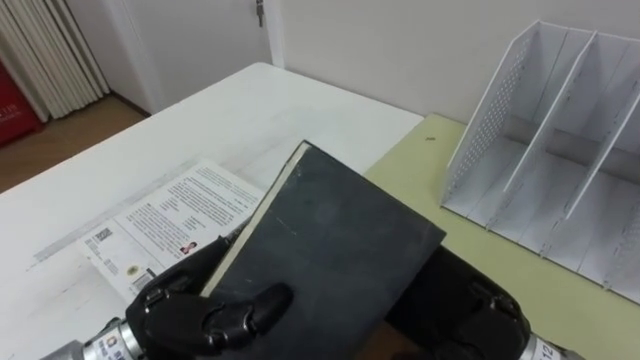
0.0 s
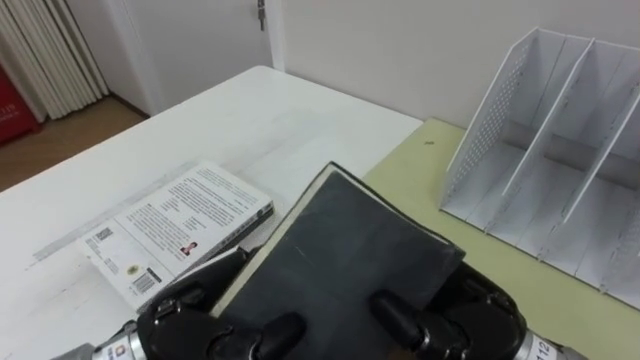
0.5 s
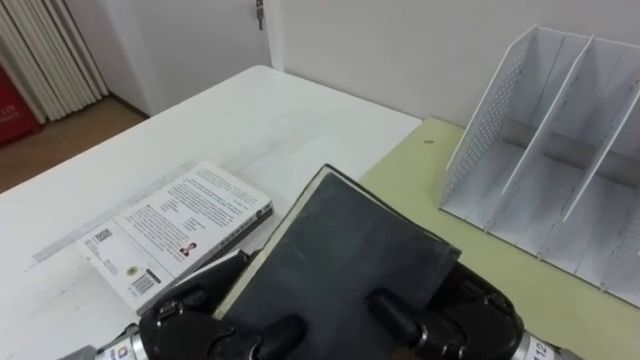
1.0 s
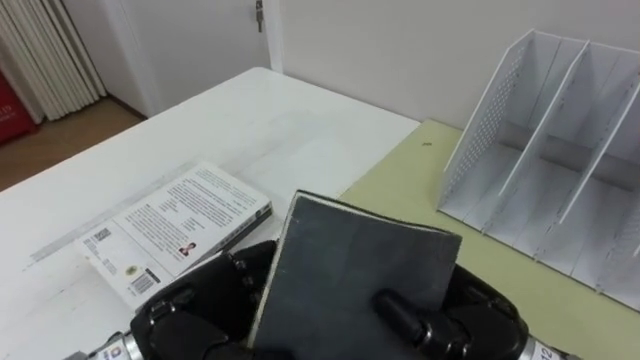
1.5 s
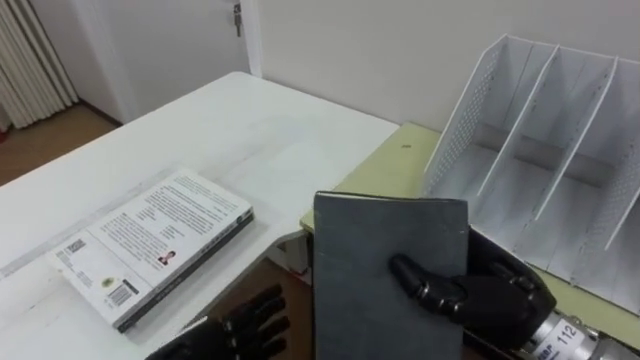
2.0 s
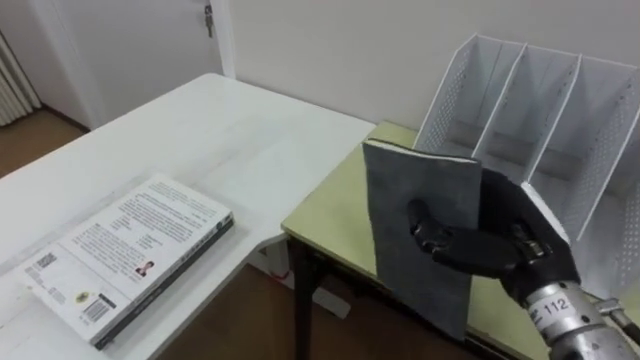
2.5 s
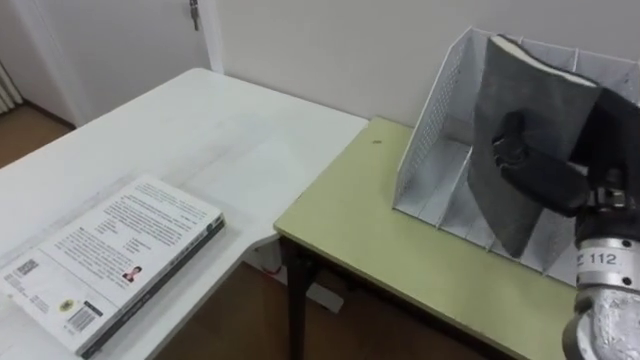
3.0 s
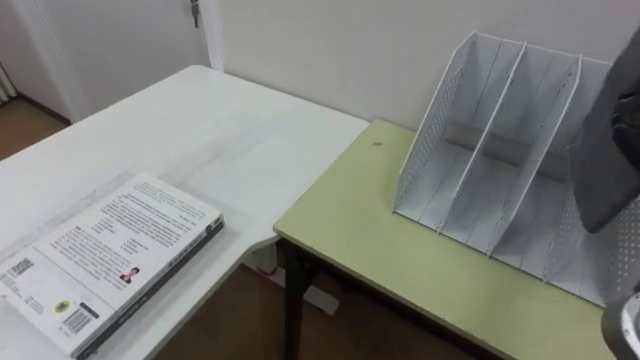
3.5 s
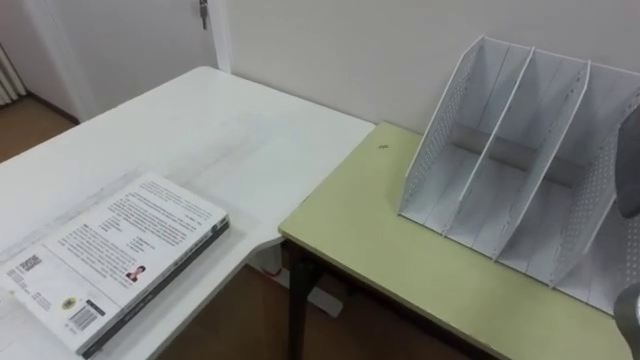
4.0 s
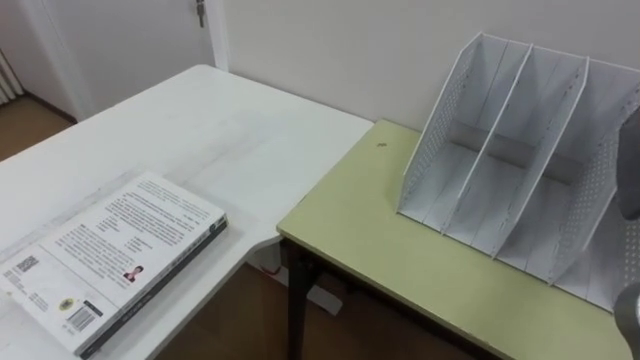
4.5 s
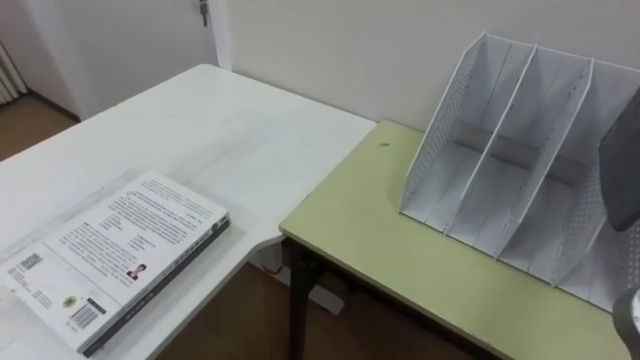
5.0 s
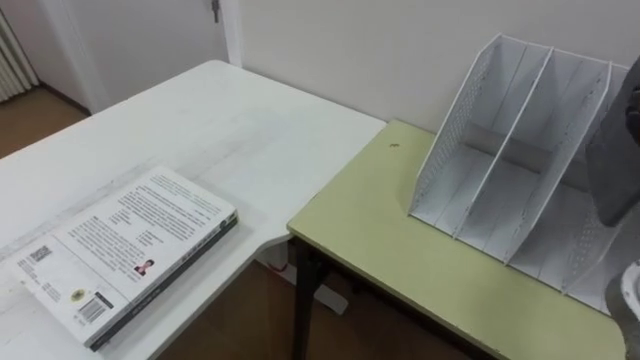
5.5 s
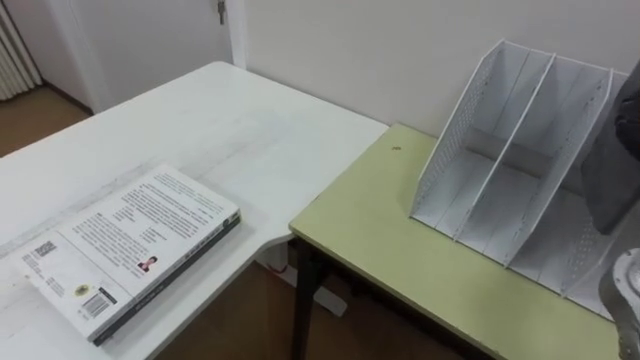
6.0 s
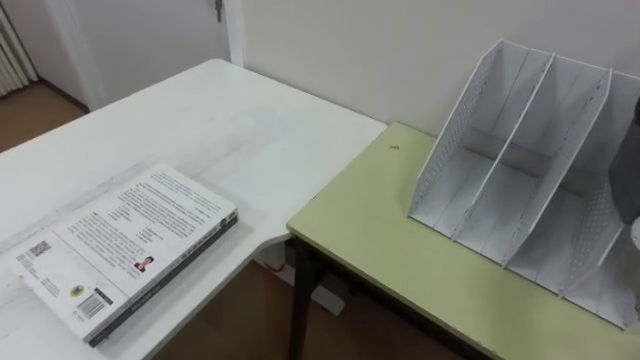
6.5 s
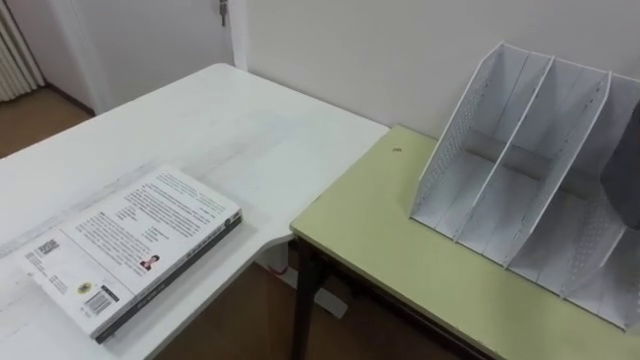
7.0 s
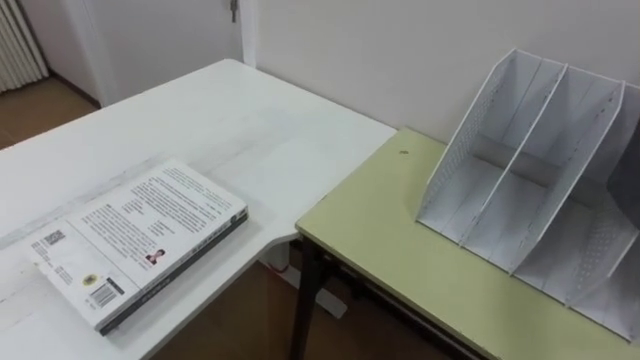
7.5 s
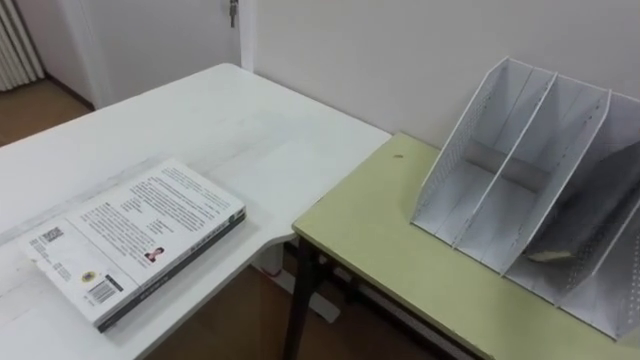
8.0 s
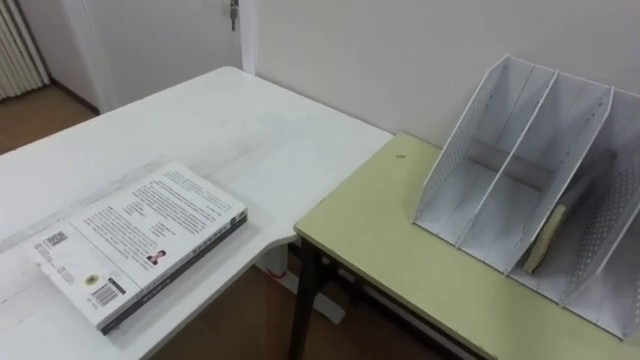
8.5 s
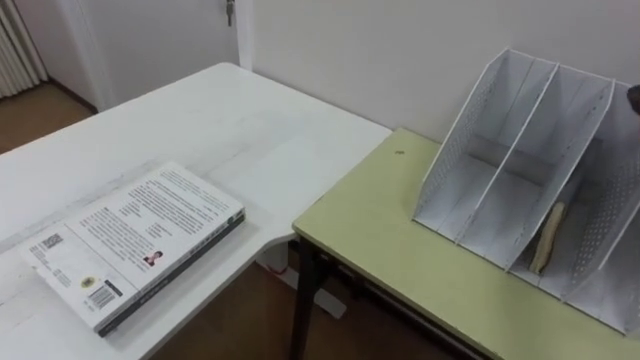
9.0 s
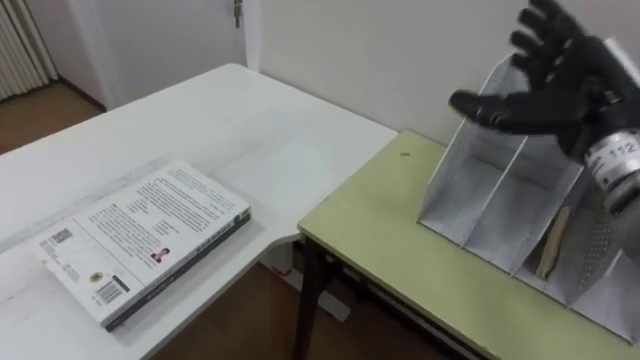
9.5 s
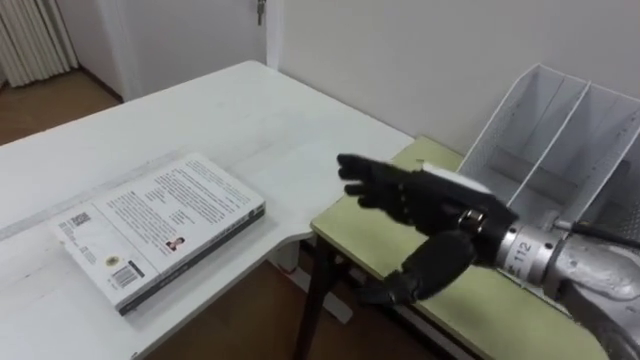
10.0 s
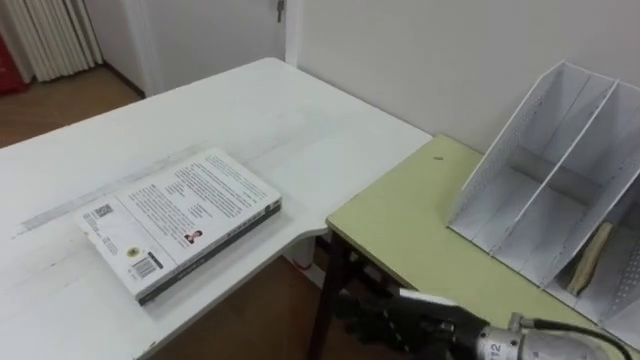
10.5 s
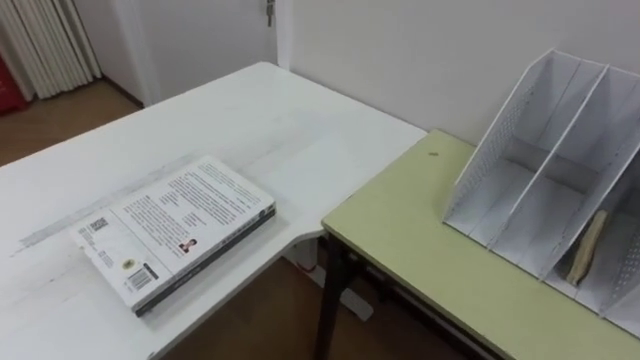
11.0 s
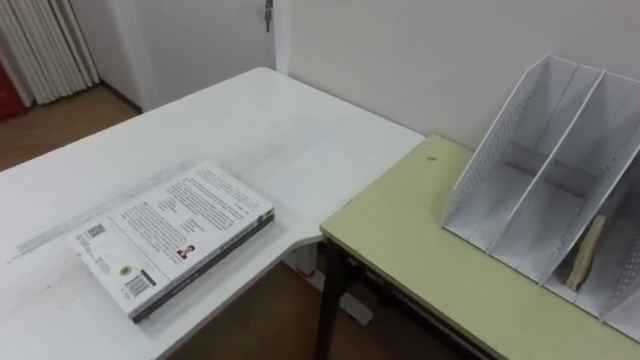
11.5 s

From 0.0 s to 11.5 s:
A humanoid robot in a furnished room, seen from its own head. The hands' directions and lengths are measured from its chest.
Task of the whole recording: Put the books on the table onto the bookshelf.
From 0.0 s to 2.0 s: The right hand changes place by some 5 cm, and closes up. The left hand travels downward by some 10 cm, and opens.

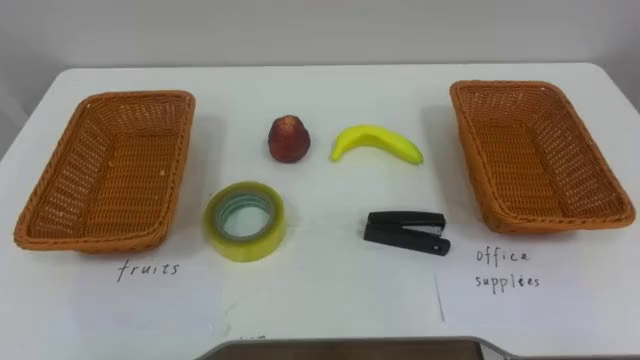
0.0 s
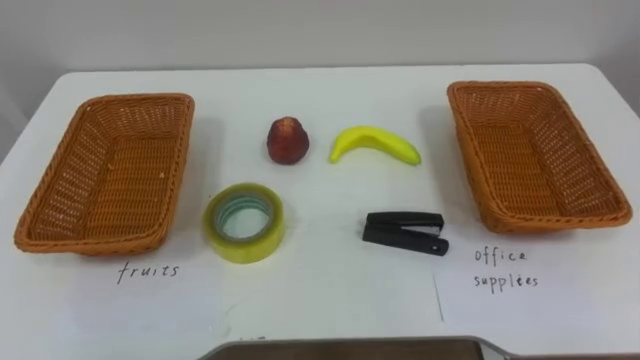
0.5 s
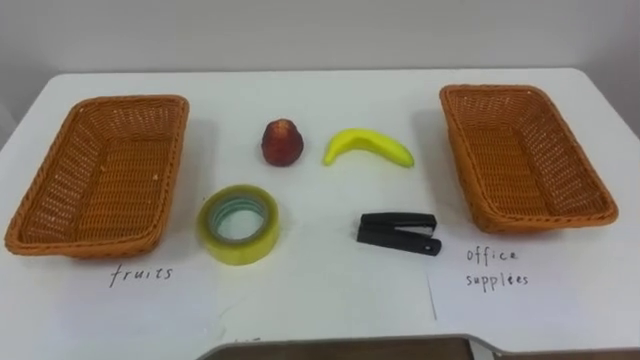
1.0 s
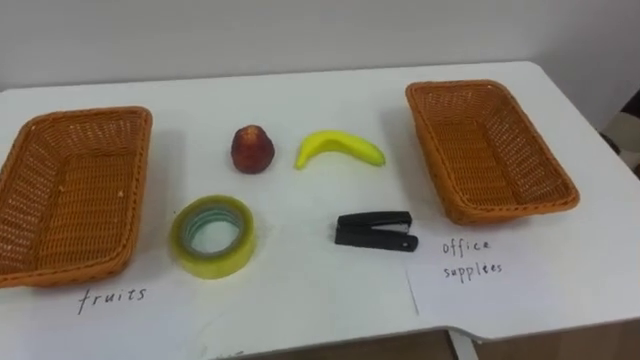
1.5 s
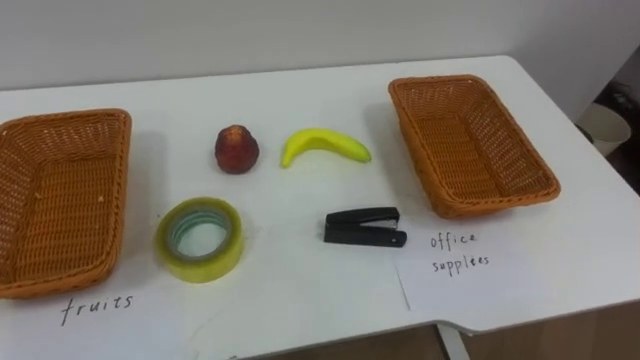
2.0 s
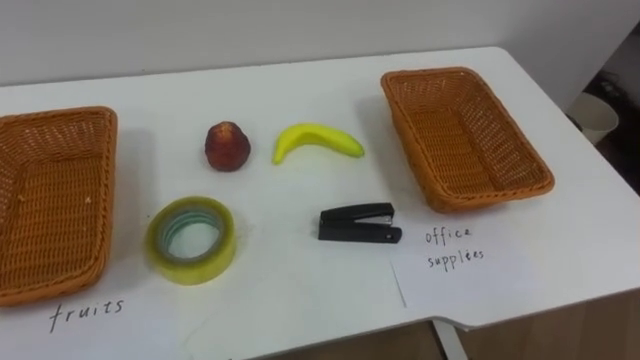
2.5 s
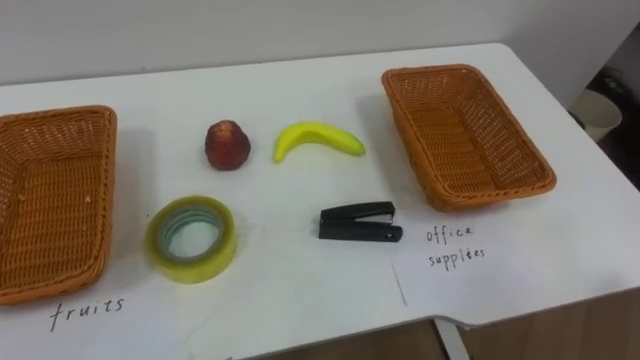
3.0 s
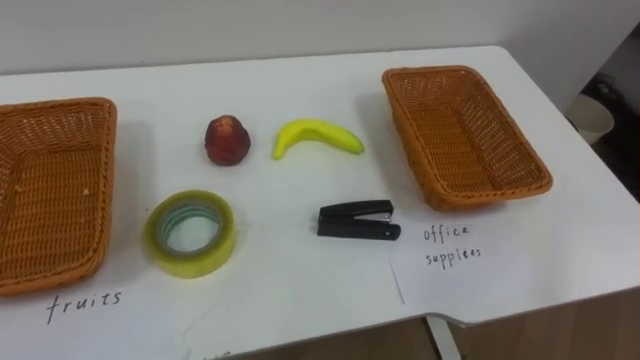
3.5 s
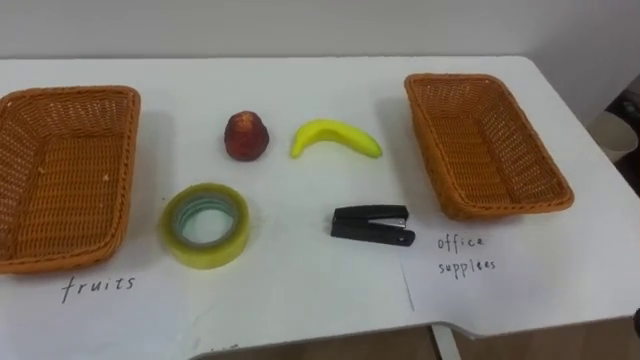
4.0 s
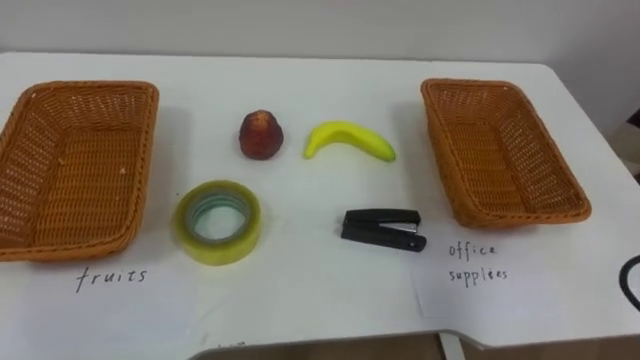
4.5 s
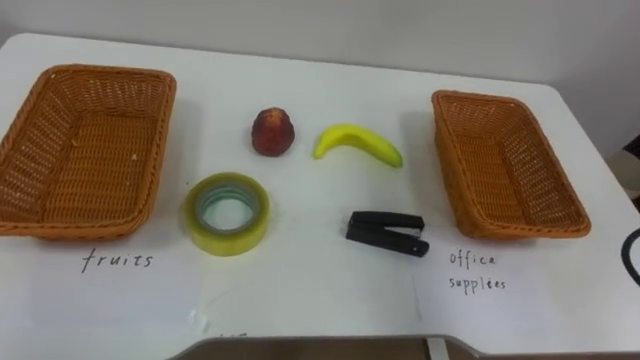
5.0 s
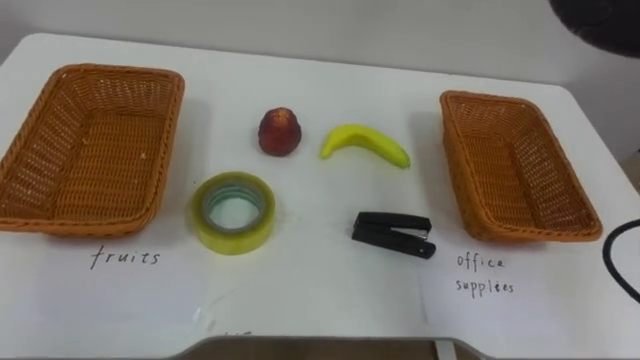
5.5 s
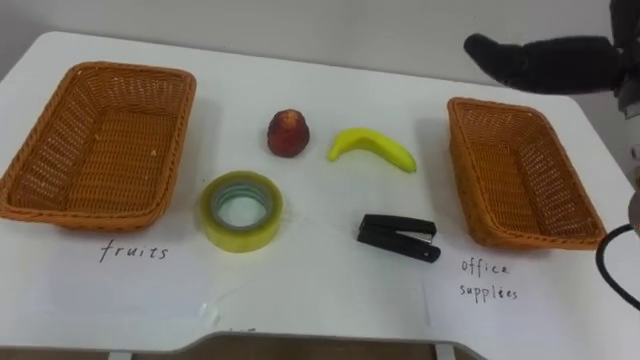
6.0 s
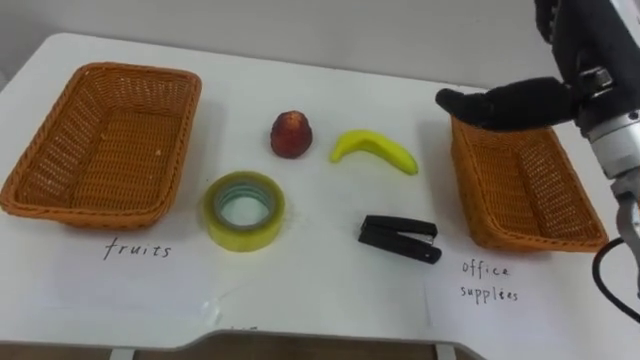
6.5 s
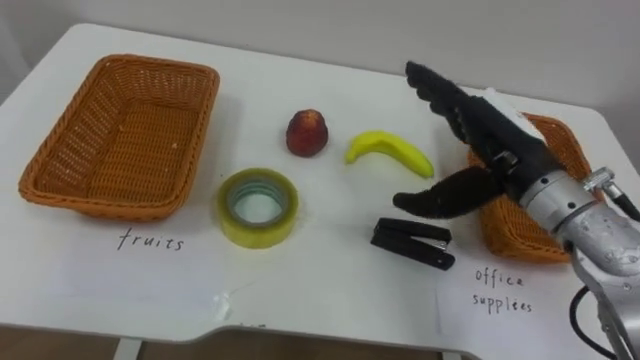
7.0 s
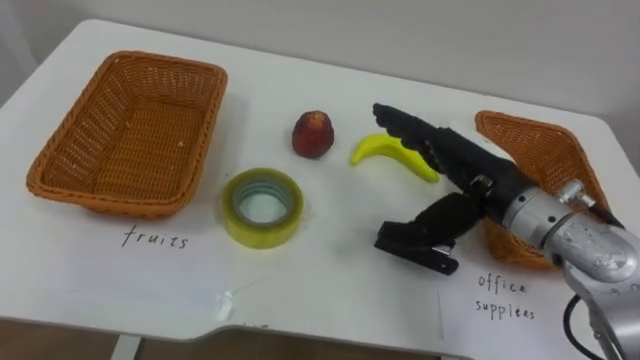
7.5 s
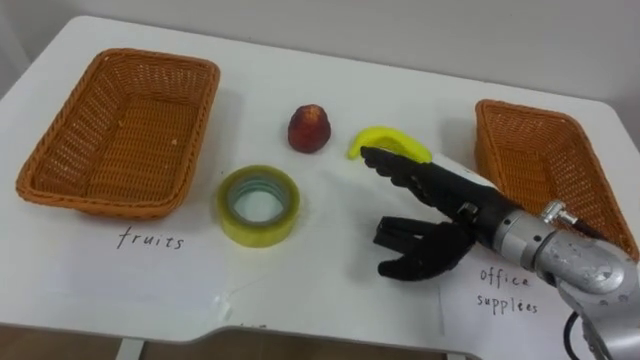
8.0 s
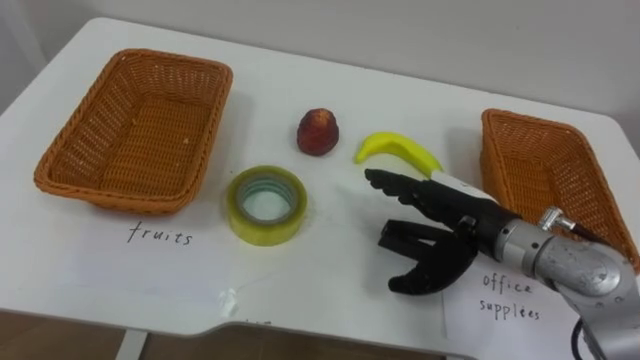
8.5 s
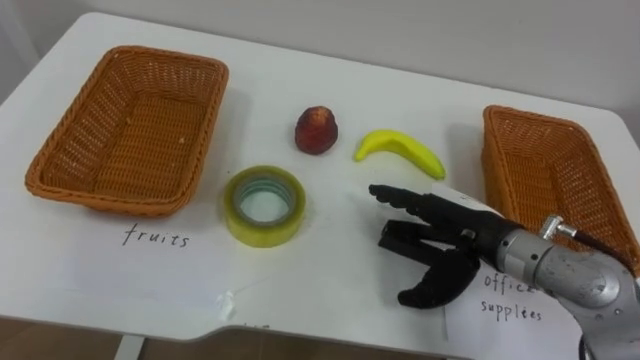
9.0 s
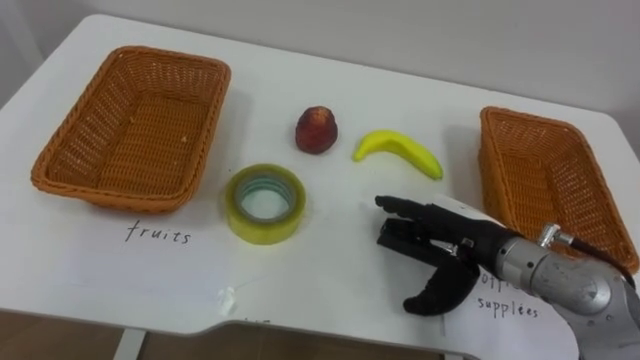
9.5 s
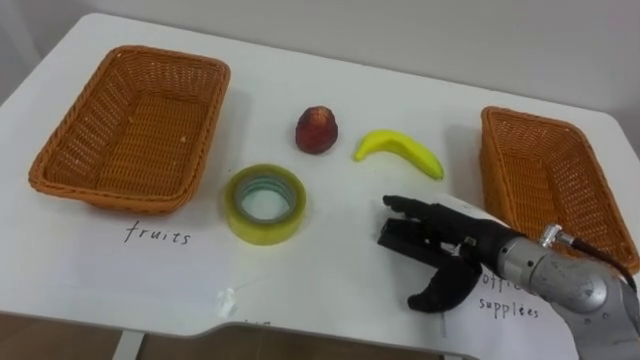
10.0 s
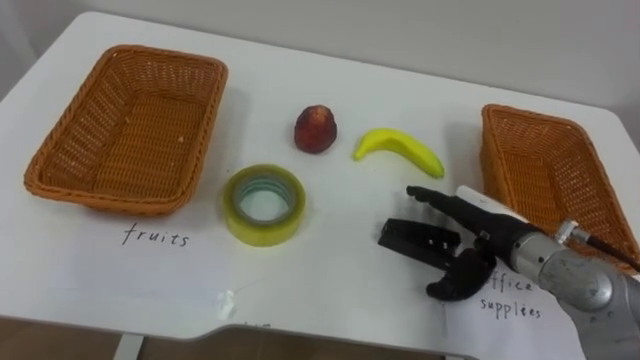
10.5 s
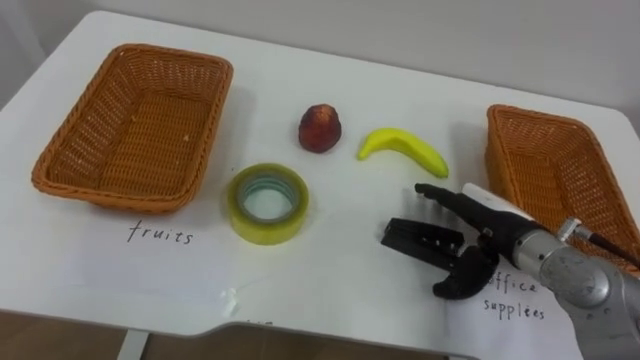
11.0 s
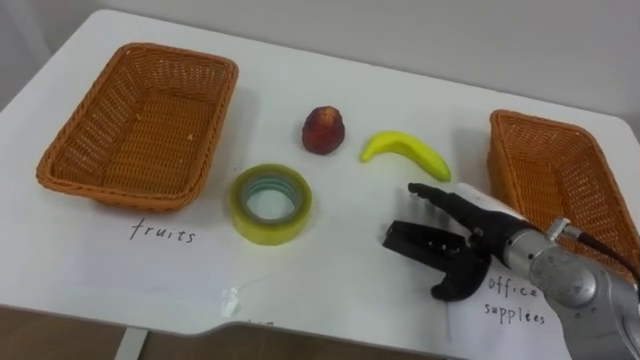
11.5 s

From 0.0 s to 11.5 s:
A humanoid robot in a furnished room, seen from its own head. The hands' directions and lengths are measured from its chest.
Task of the whole recording: Separate the items on the table and place them into the two baskets.
From 6.0 s to 7.5 s: The right hand heads downward and to the left, covering some 20 cm.
From 7.5 s to 9.5 s: The right hand goes approximately 10 cm downward.
